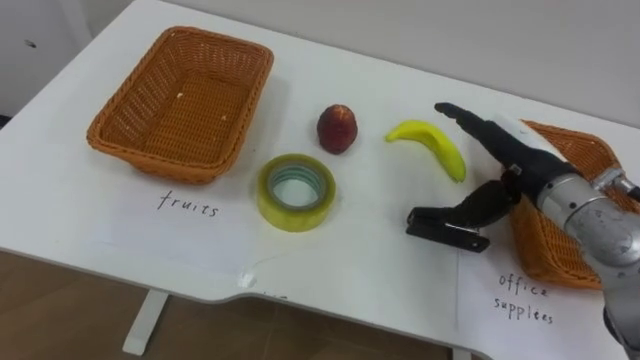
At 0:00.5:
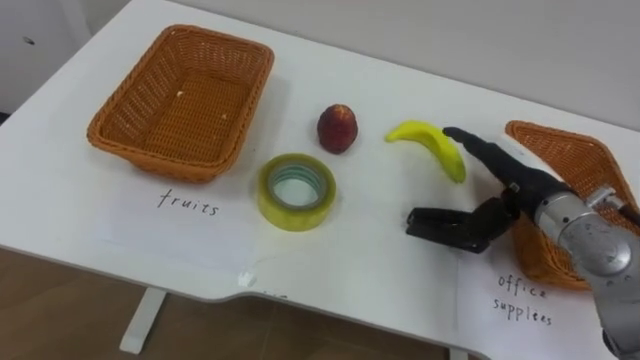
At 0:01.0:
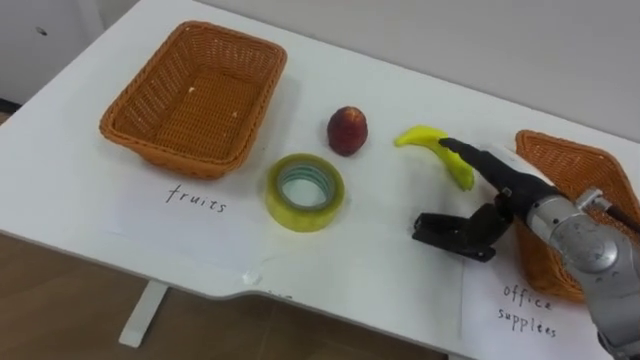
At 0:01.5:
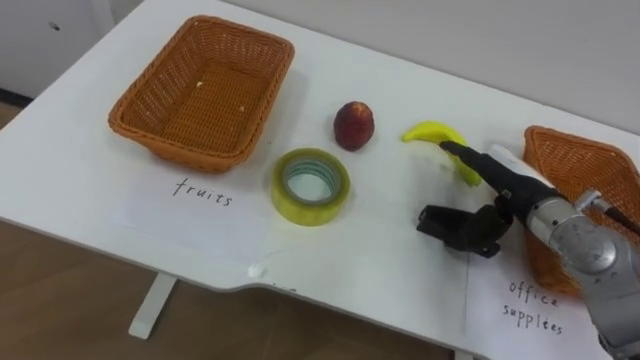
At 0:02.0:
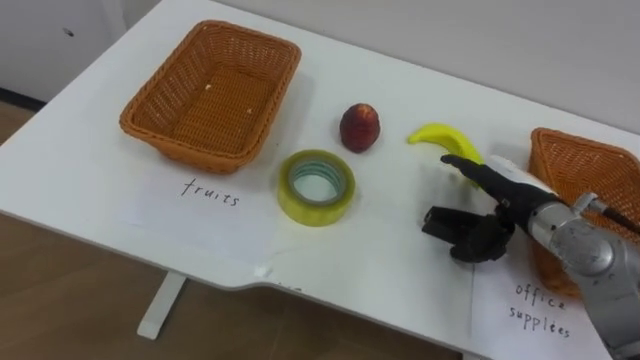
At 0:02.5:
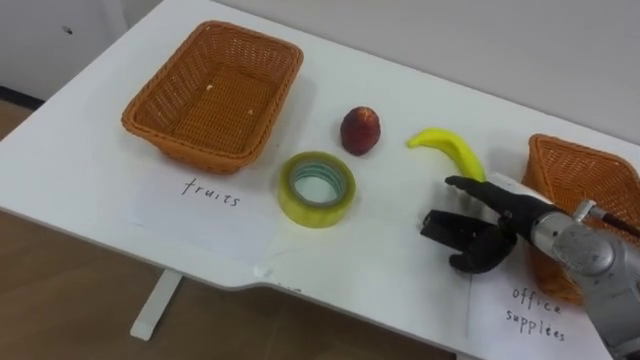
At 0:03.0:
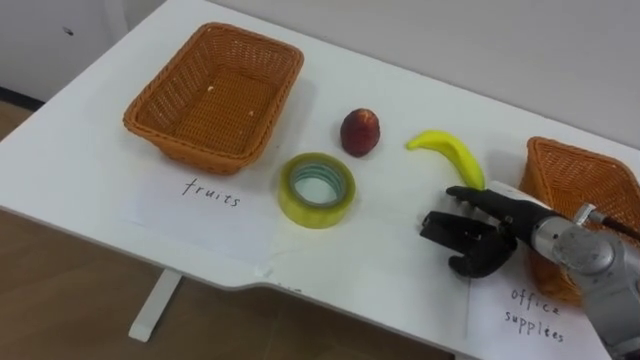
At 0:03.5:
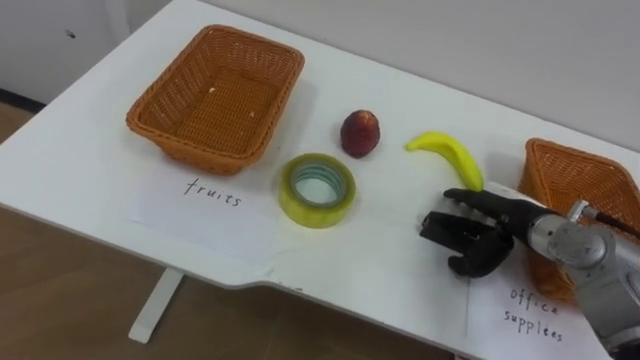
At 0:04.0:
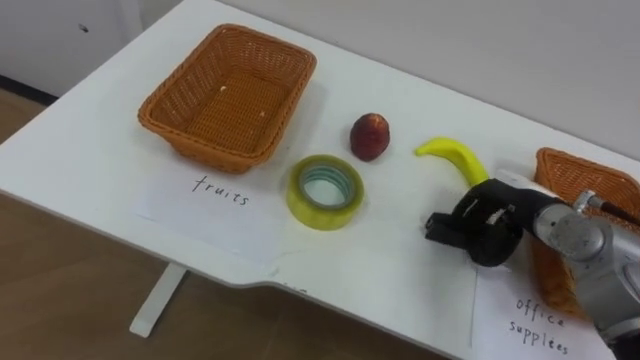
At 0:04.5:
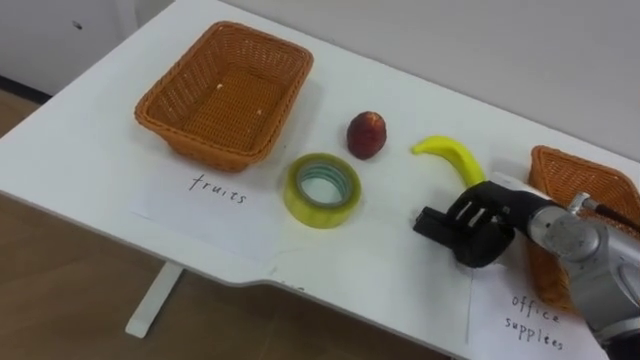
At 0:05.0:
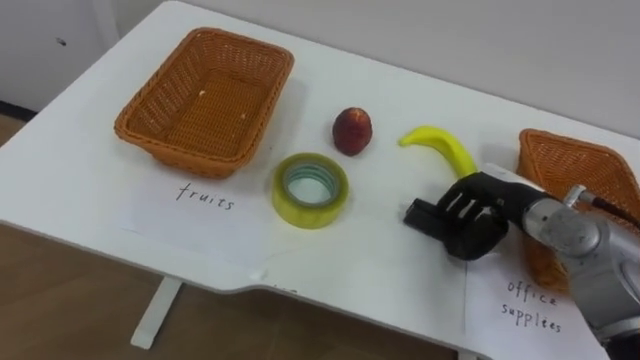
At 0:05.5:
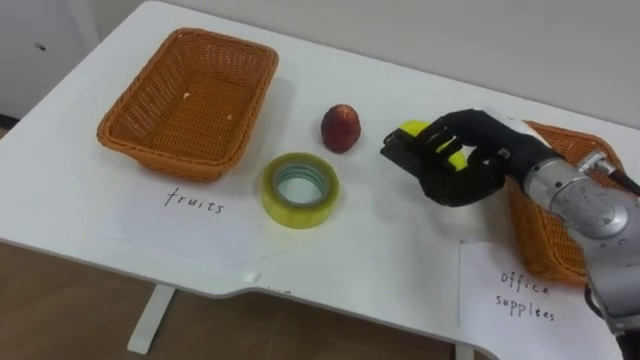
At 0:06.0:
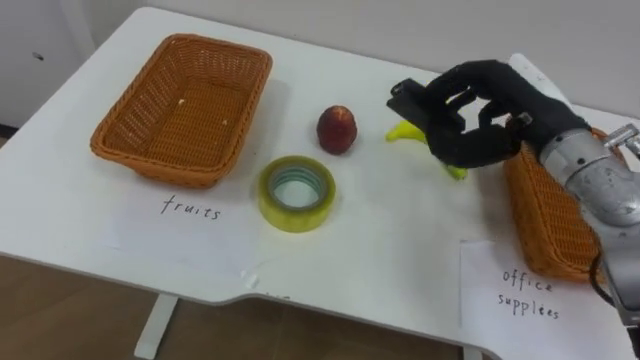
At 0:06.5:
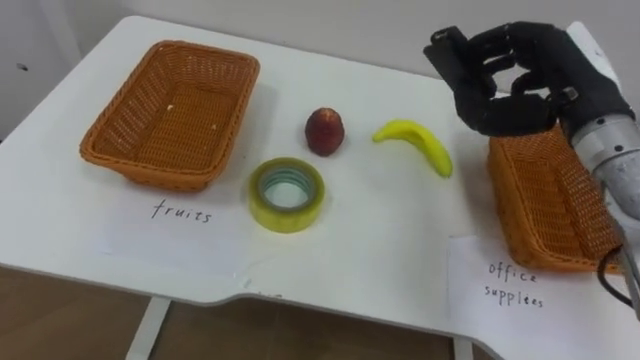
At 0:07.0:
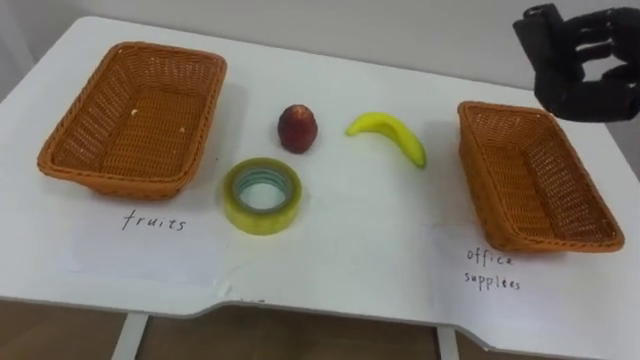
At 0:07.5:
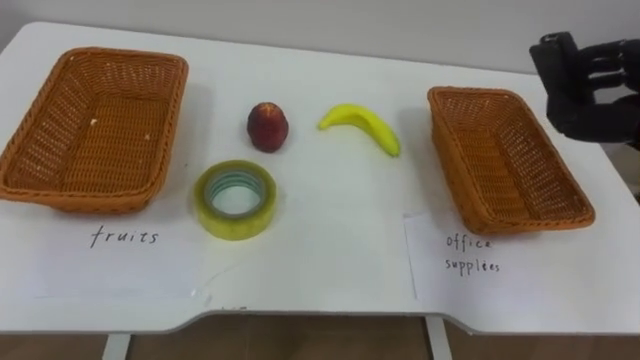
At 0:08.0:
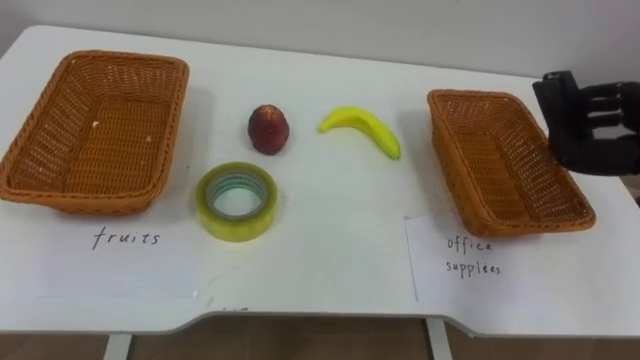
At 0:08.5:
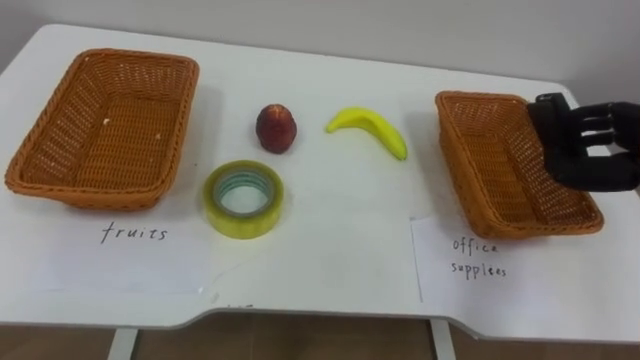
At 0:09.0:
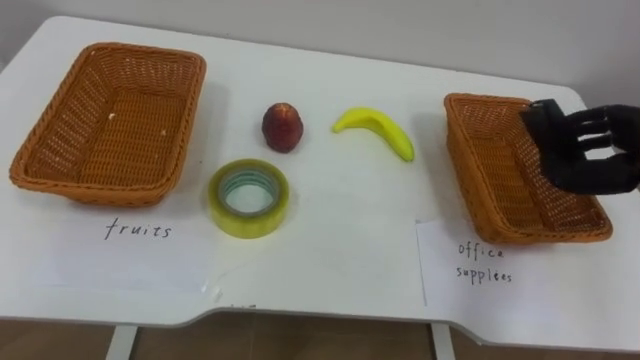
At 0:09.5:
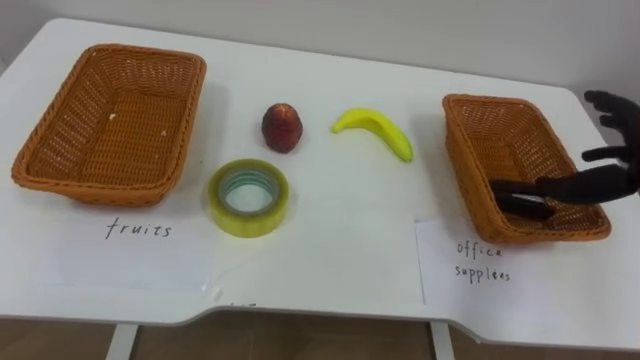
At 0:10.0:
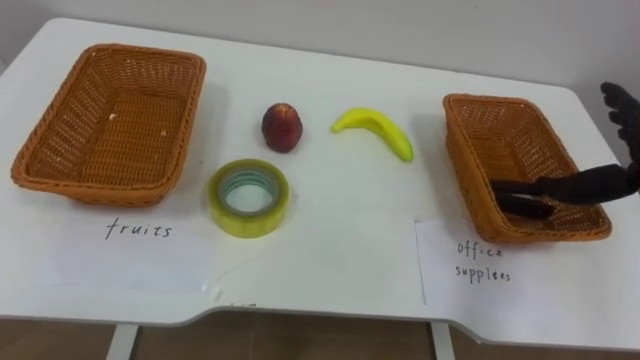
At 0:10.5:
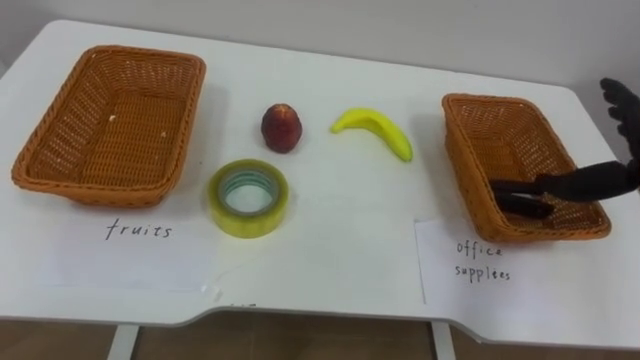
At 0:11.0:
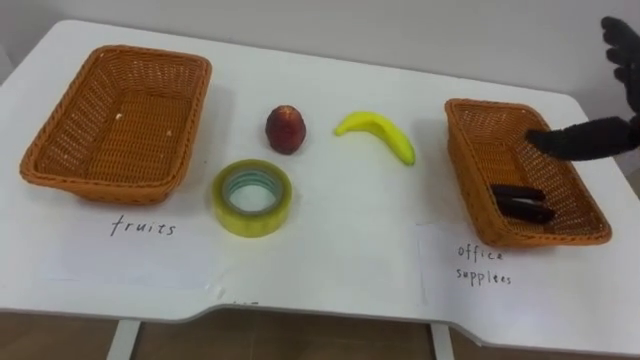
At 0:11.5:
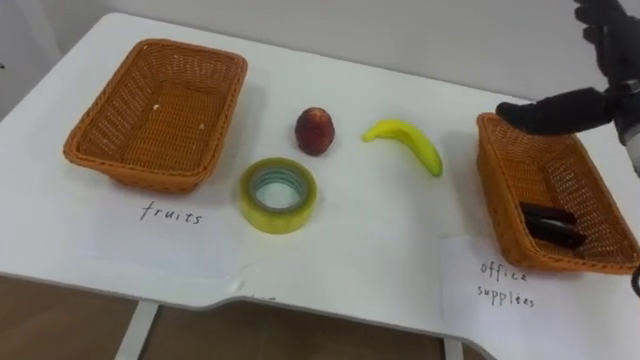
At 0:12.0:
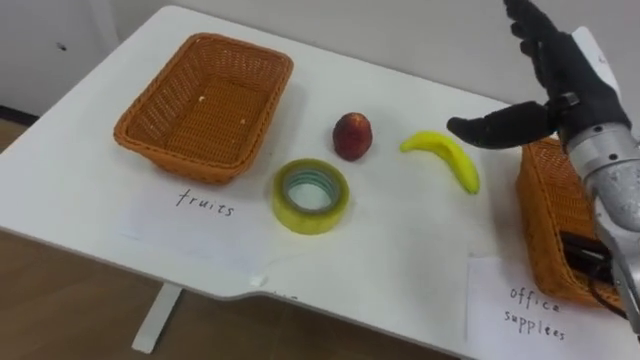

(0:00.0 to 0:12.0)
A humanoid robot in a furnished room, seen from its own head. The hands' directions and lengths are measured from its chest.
Task of the whole recording: Separate the items on the table and place them into the two baskets.
0:00.0 - 0:02.0: The right hand heads downward, covering about 5 cm.
0:02.0 - 0:04.0: The right hand closes up.
0:04.0 - 0:06.0: The right hand travels upward by roughly 15 cm.

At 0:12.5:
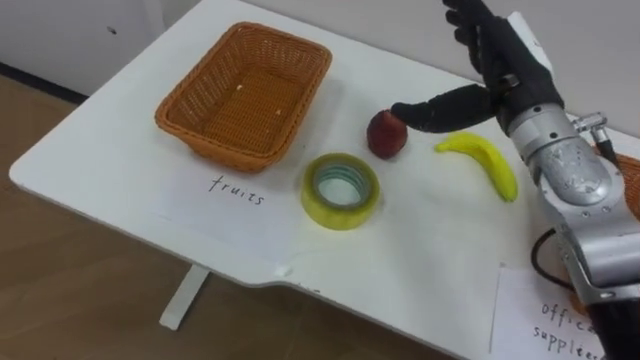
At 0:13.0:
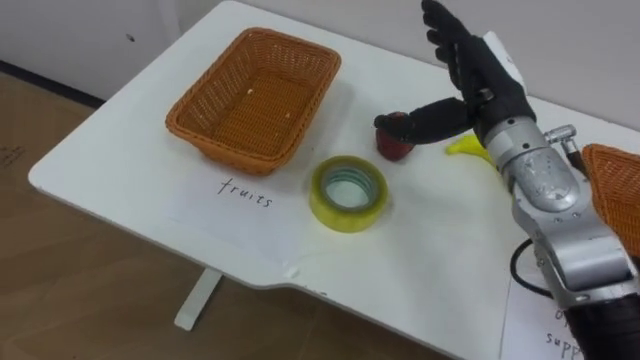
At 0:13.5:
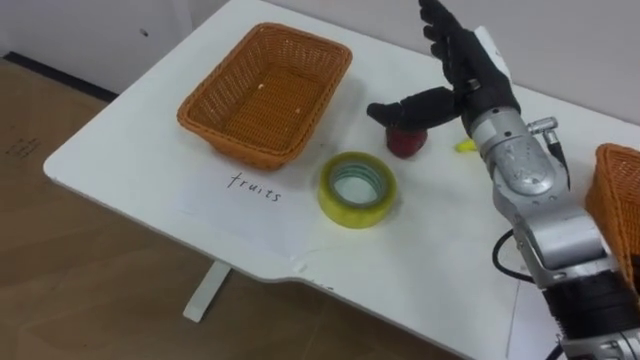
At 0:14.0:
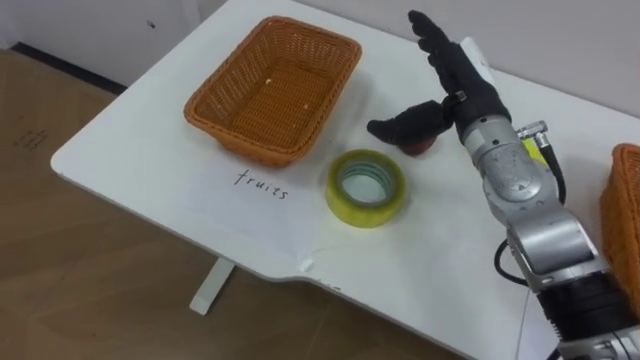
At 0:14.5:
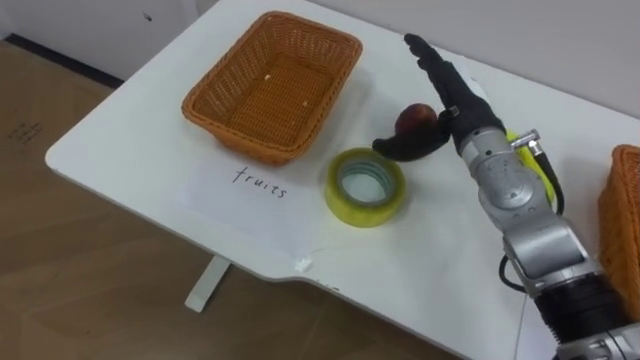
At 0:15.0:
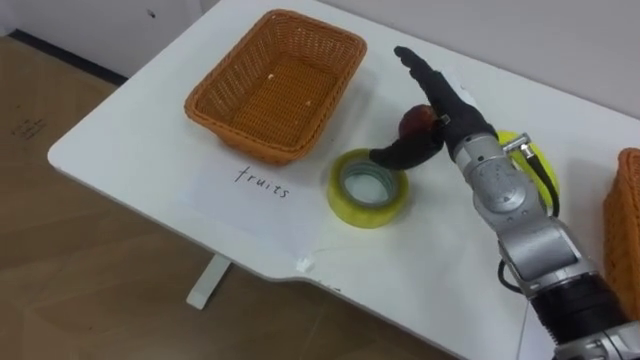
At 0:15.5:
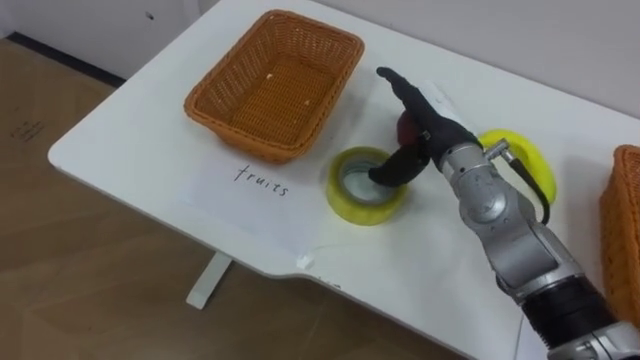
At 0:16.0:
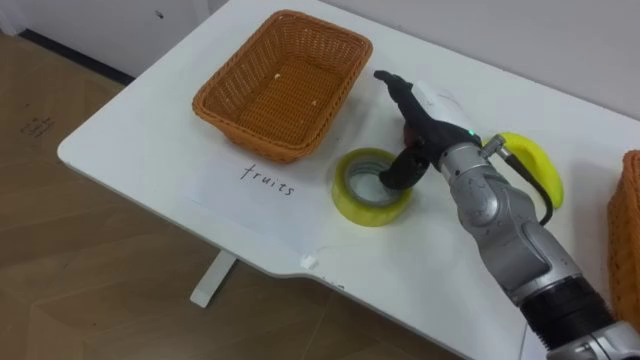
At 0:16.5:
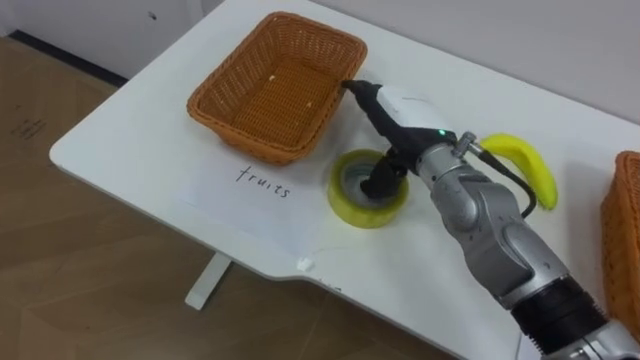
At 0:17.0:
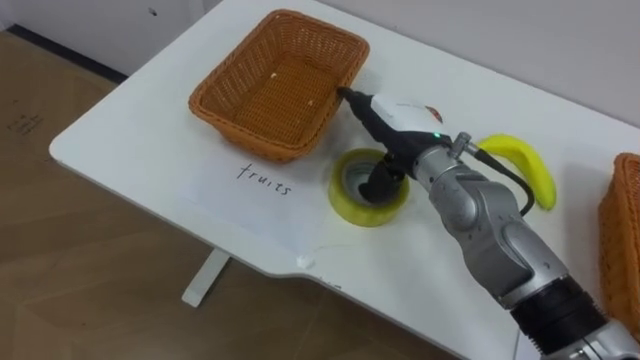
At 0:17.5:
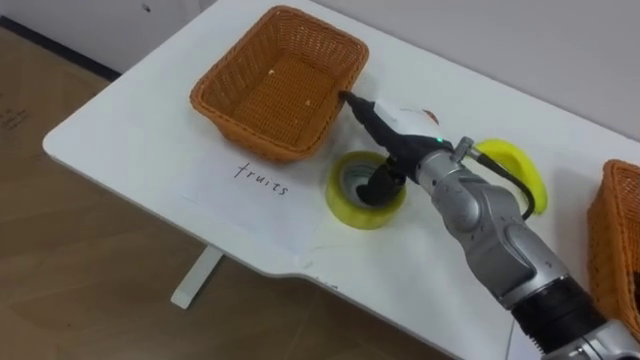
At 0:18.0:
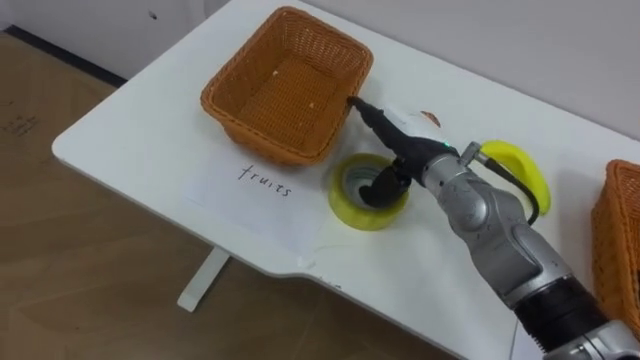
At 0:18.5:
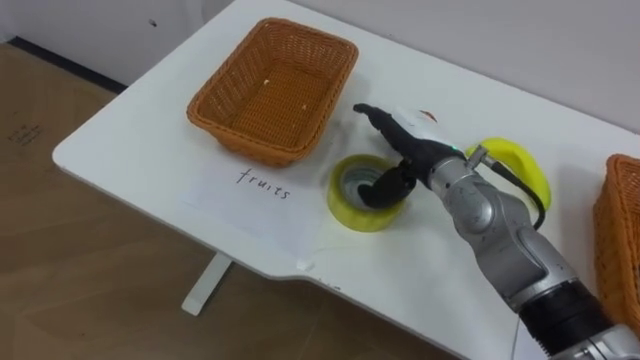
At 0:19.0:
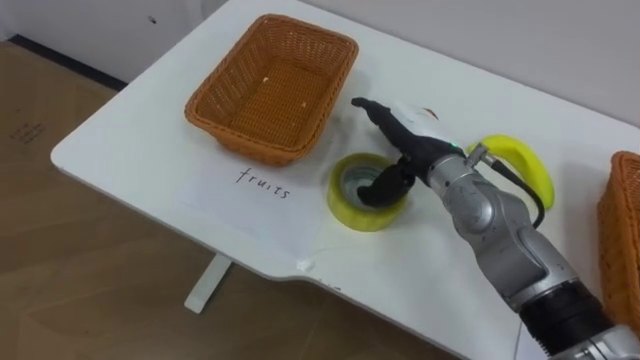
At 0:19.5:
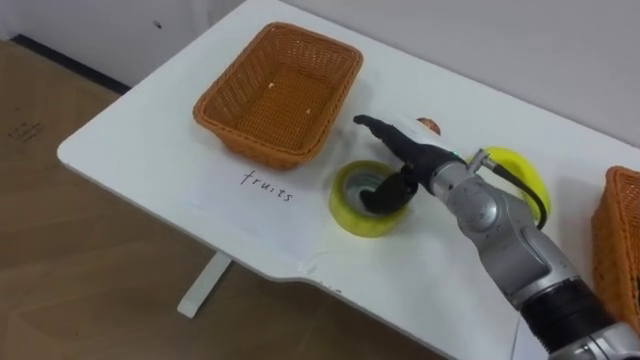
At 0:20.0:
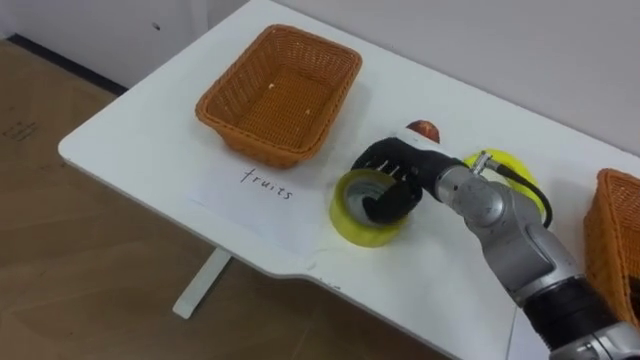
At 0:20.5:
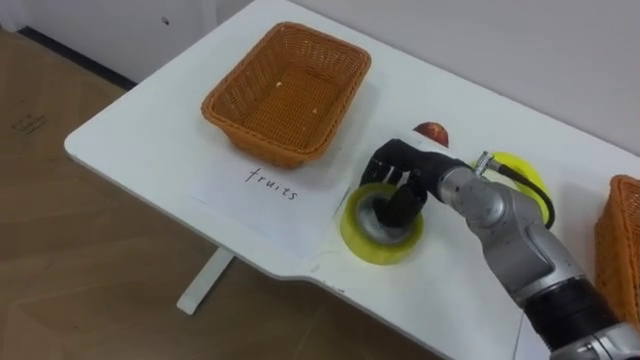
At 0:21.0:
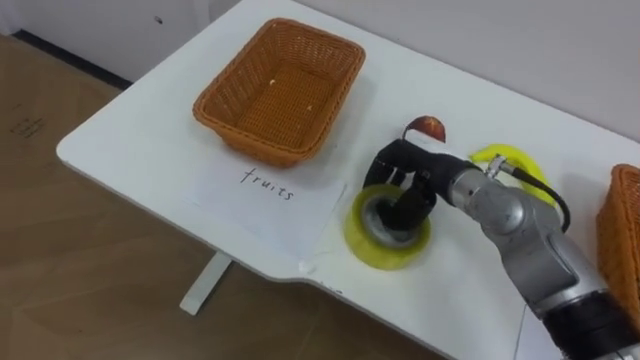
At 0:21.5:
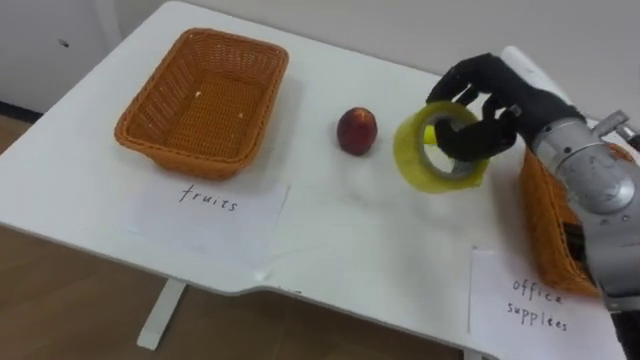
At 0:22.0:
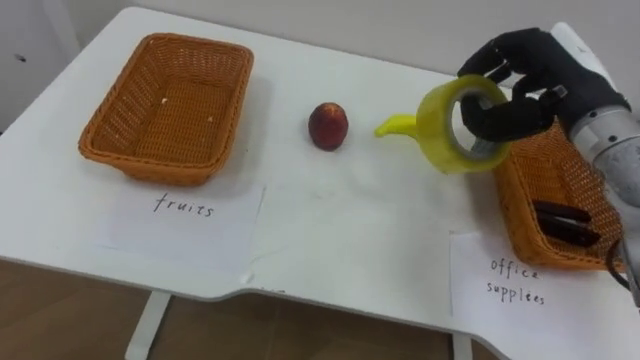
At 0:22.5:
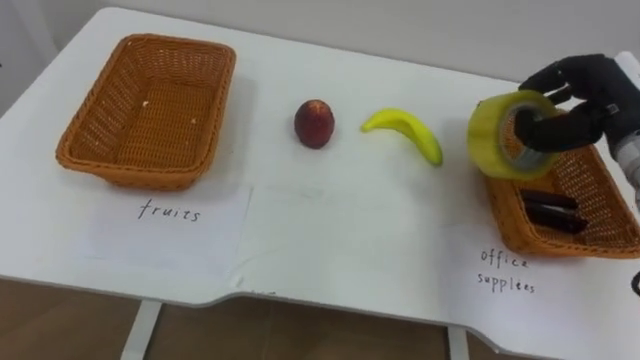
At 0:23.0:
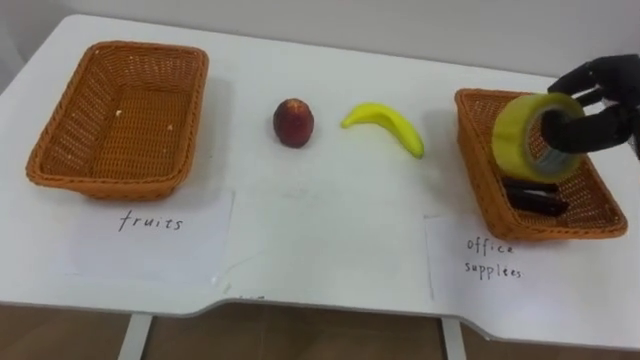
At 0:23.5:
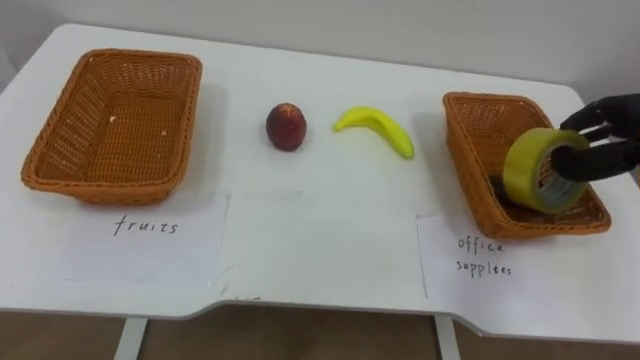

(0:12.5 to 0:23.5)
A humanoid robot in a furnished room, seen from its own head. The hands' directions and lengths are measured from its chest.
Task of the whole recording: Separate the items on the table and place them into the two baskets.
0:12.5 - 0:14.5: The right hand is displaced downward by roughly 5 cm.
0:18.0 - 0:20.0: The right hand closes its fingers.
0:20.0 - 0:21.5: The right hand heads upward and to the right, covering roughly 15 cm, and closes.
